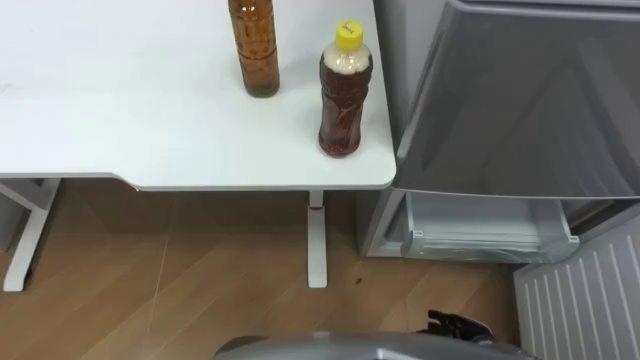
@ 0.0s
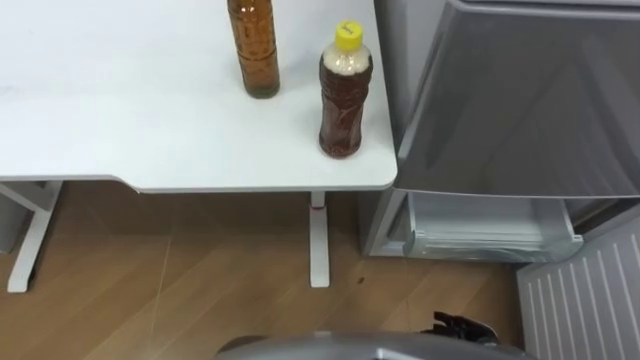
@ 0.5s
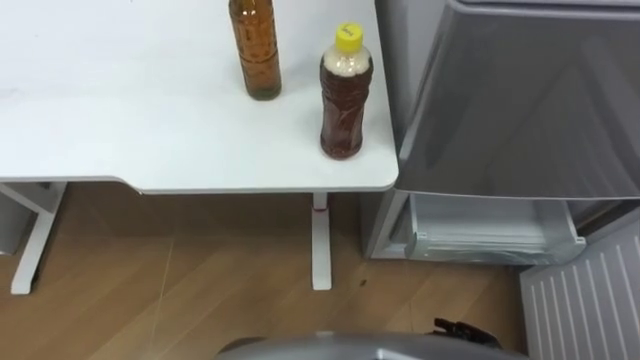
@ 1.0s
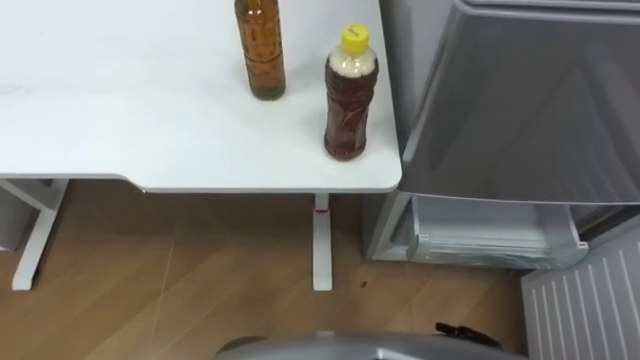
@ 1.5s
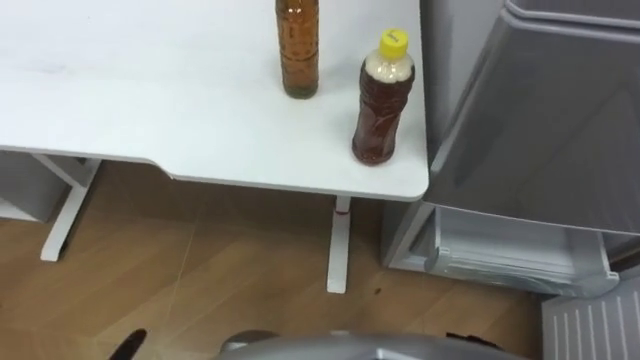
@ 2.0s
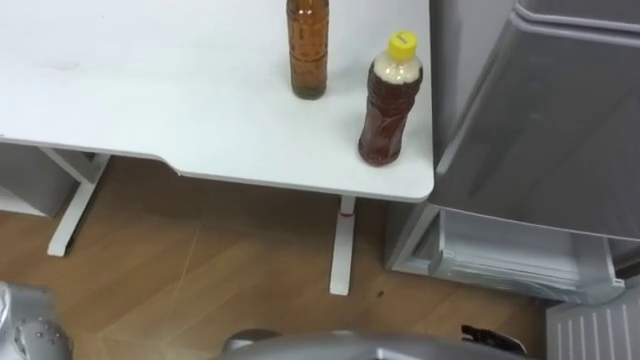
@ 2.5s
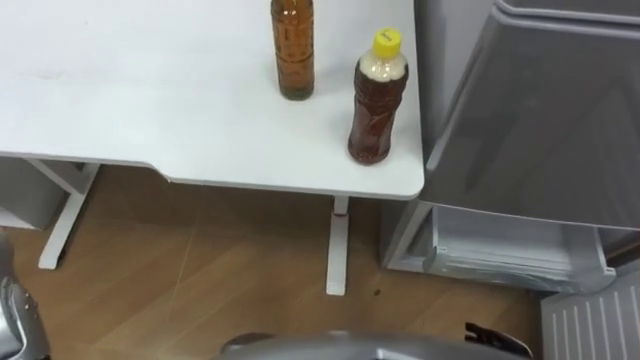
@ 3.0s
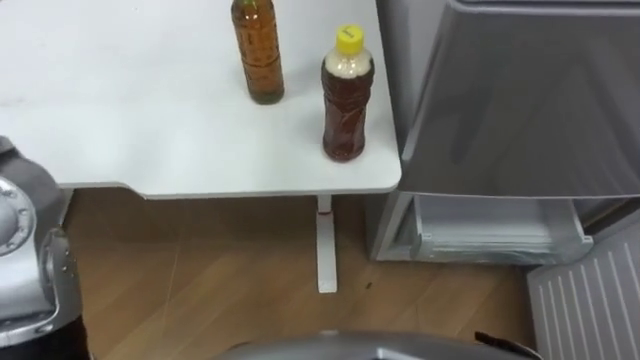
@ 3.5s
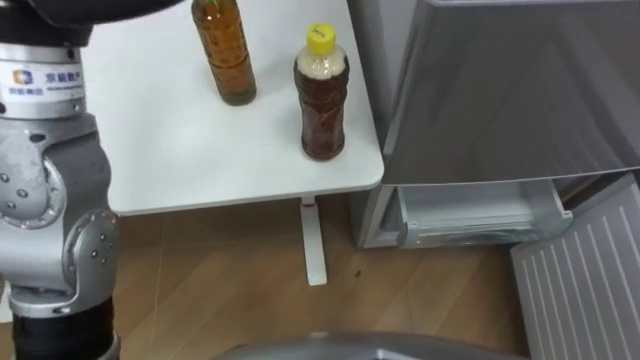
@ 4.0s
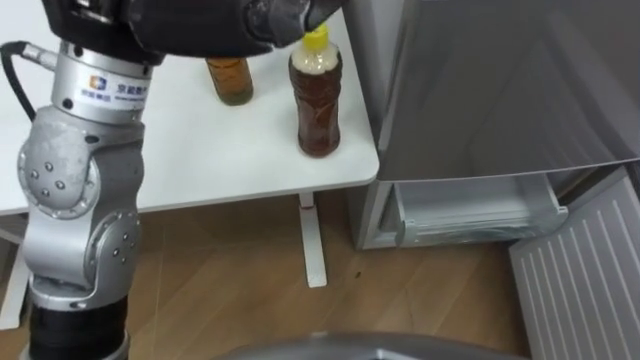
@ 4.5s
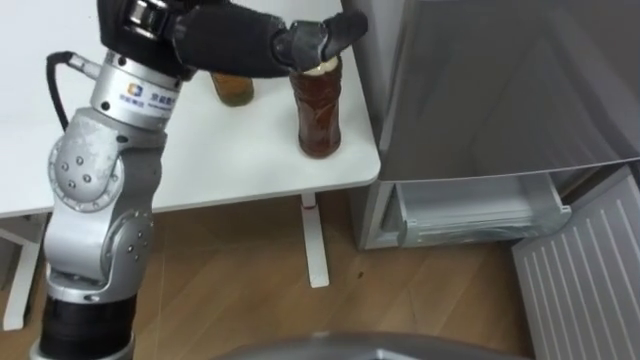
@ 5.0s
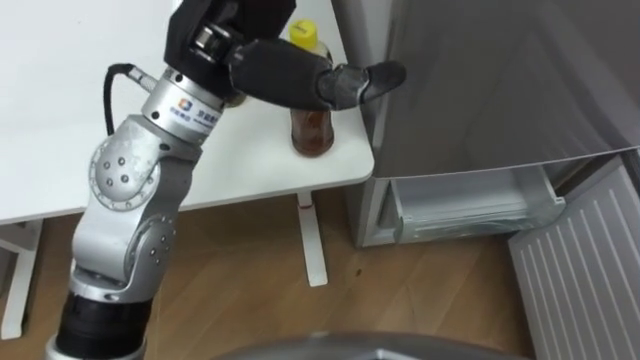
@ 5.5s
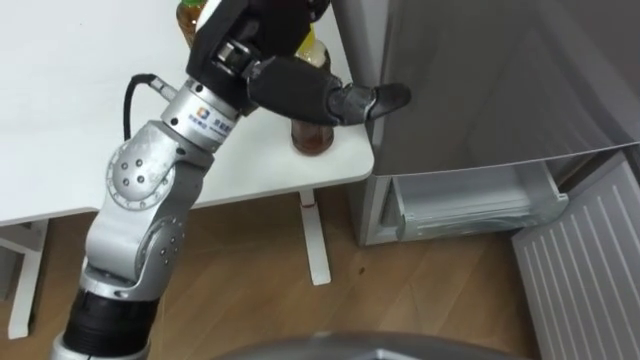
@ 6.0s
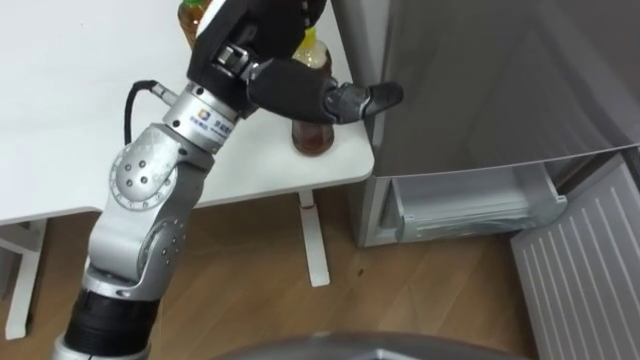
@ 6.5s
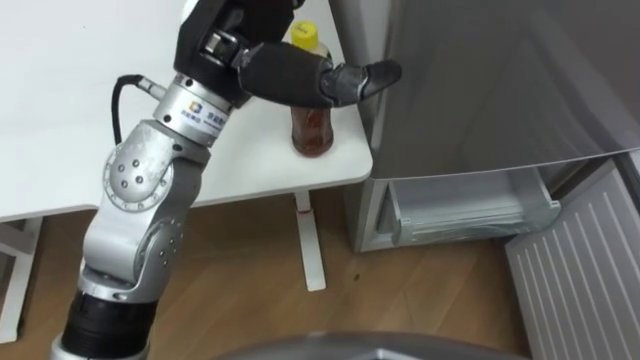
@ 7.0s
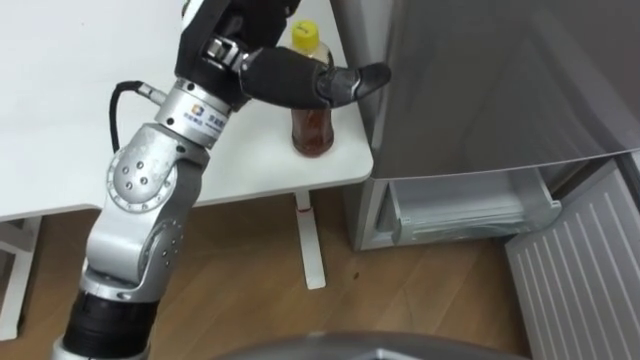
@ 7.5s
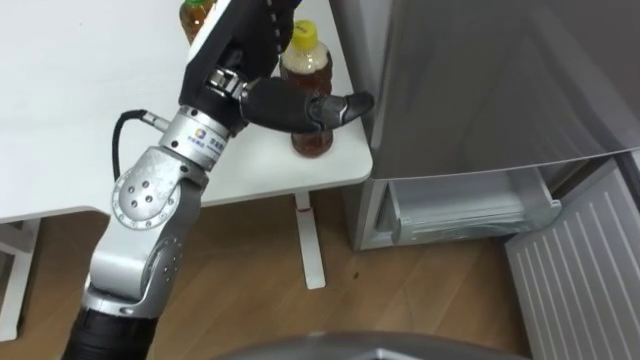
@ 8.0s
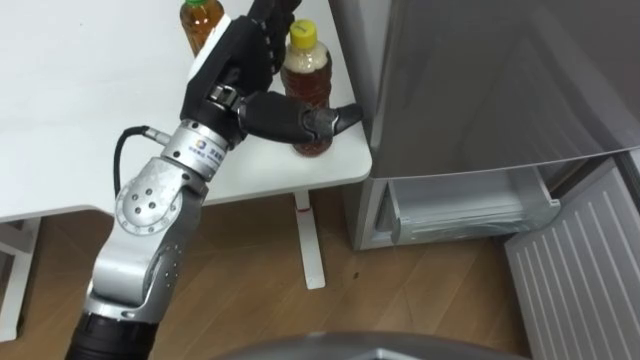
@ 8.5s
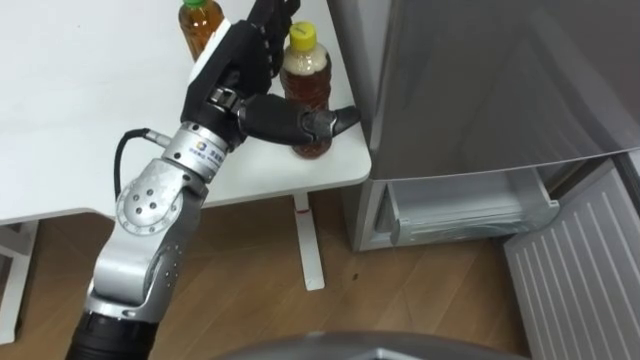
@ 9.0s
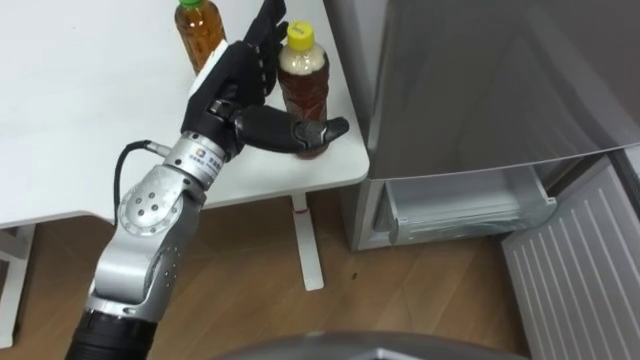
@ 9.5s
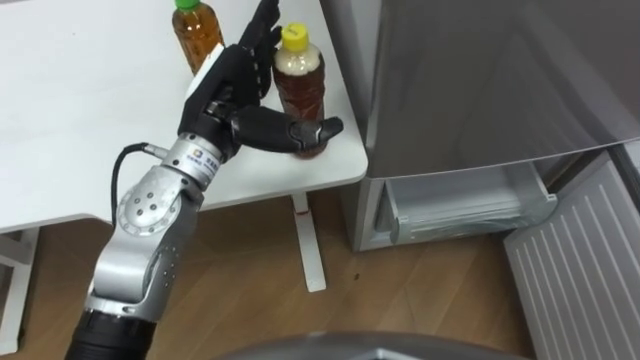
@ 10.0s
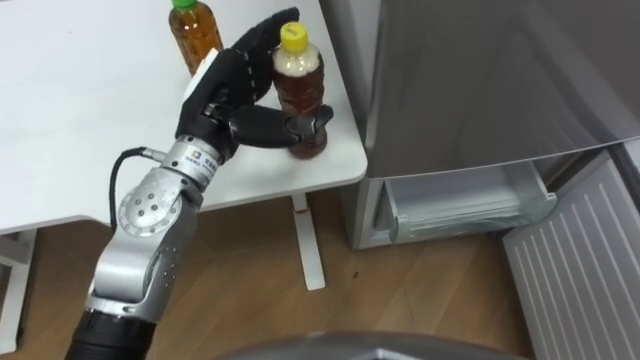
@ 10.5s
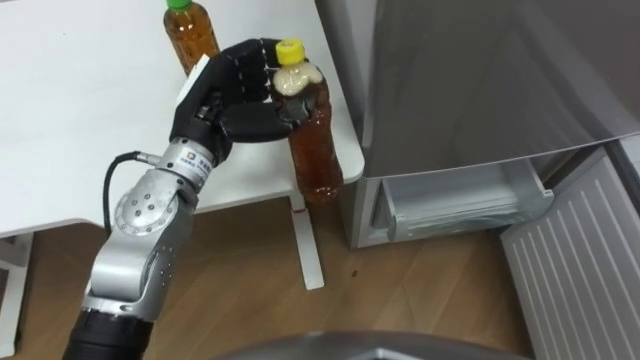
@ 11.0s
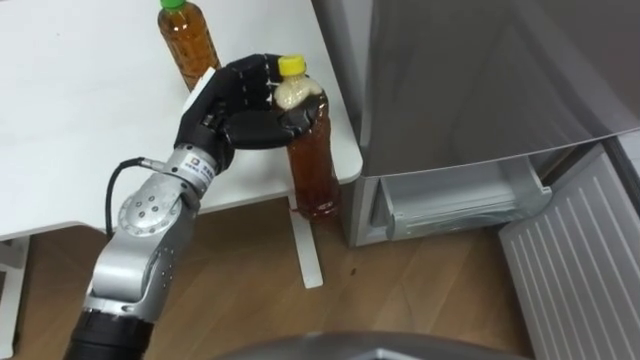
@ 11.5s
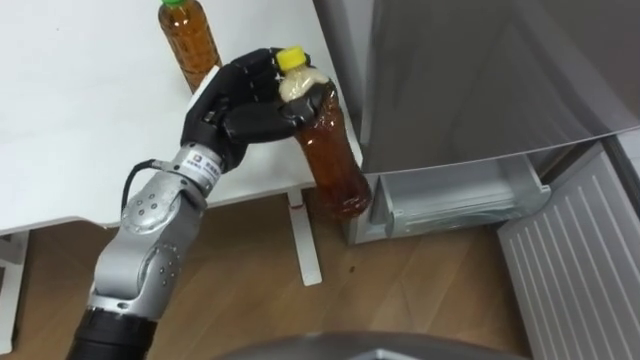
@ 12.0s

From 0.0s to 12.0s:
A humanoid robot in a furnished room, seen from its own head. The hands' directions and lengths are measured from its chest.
Task of the whole recording: Place the drink on the table on the bottom shelf of the refrigerator, then close the drawer and the refrigerator door.
From 4.0s to 6.0s: The left hand travels to the right and downward by some 15 cm.
From 6.0s to 8.0s: The left hand changes place by some 5 cm.
From 8.0s to 10.0s: The left hand travels downward by roughly 5 cm.
From 10.0s to 12.0s: The left hand closes up.

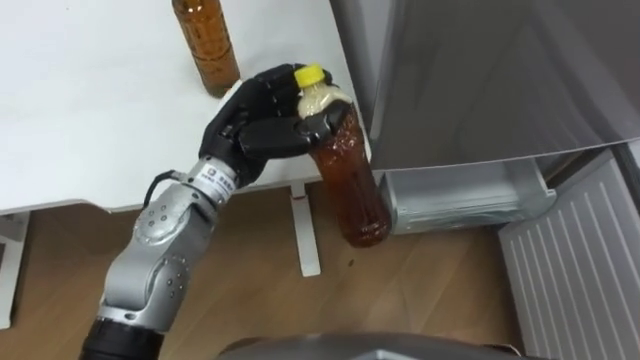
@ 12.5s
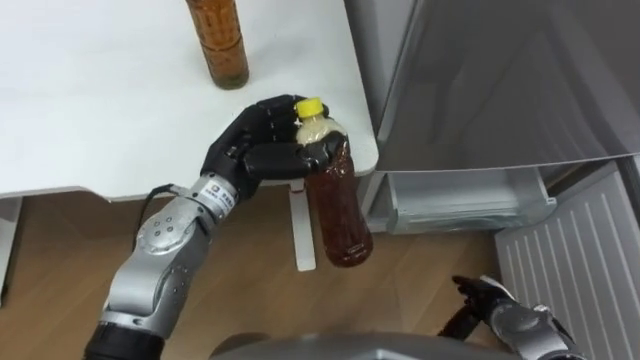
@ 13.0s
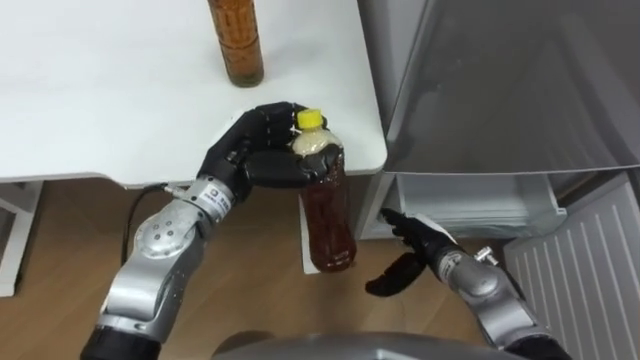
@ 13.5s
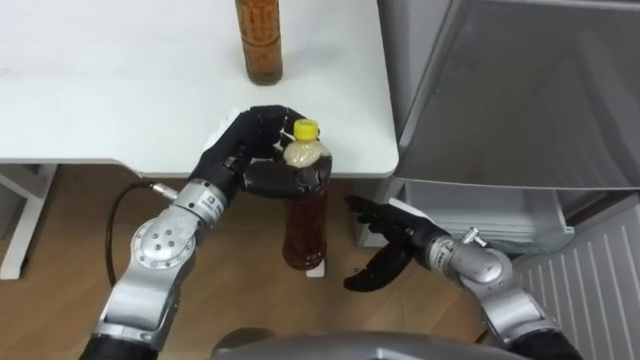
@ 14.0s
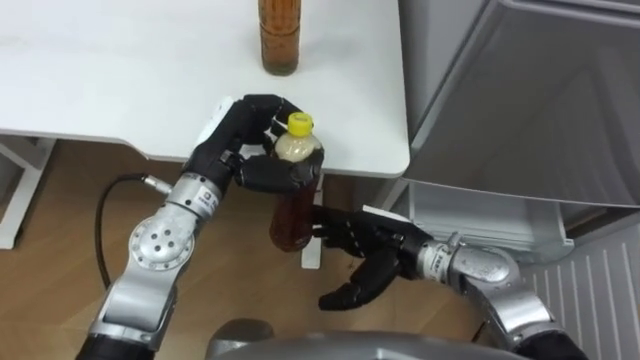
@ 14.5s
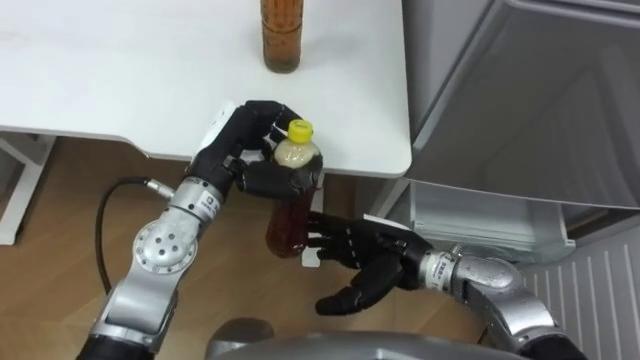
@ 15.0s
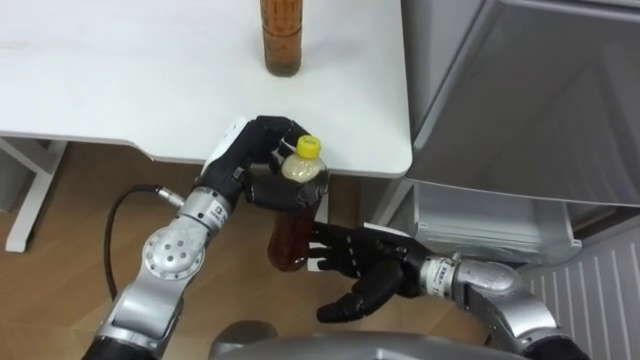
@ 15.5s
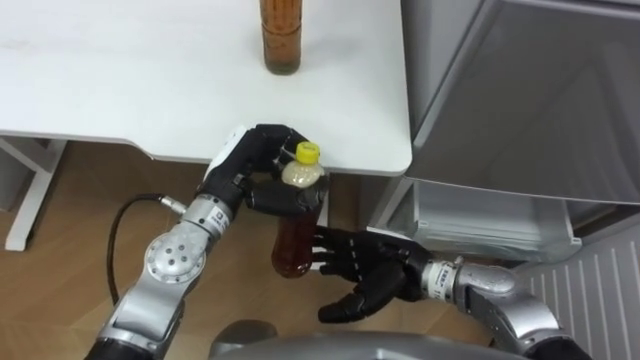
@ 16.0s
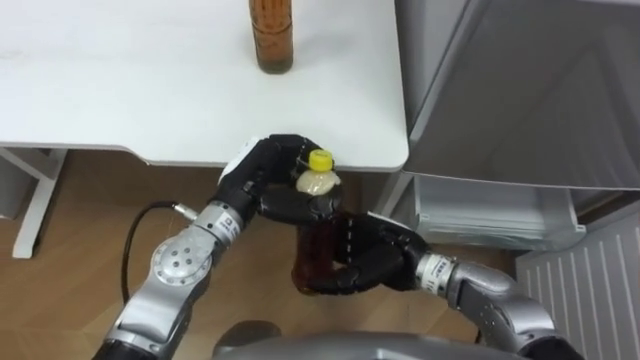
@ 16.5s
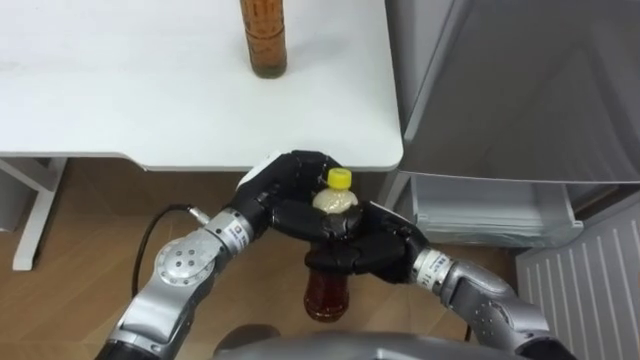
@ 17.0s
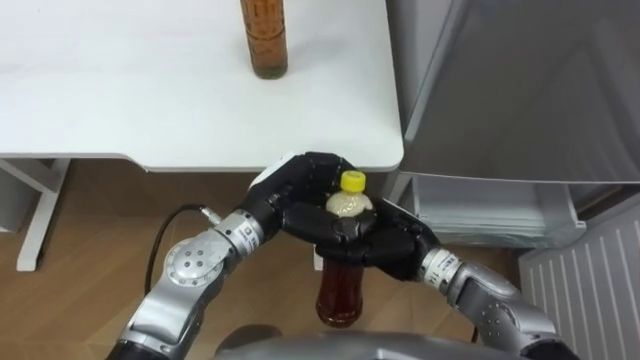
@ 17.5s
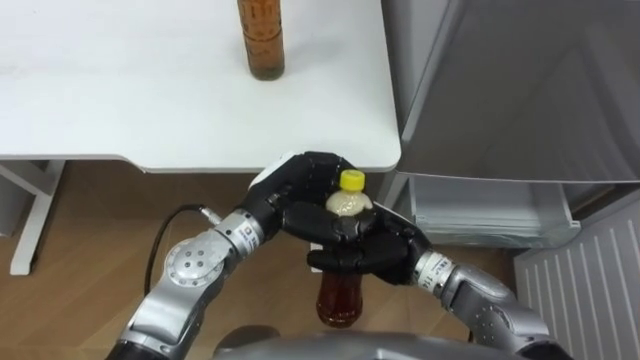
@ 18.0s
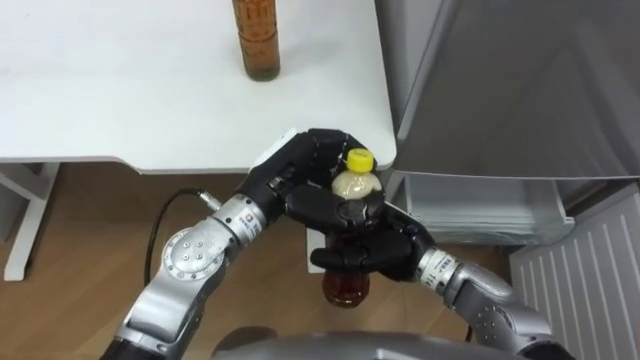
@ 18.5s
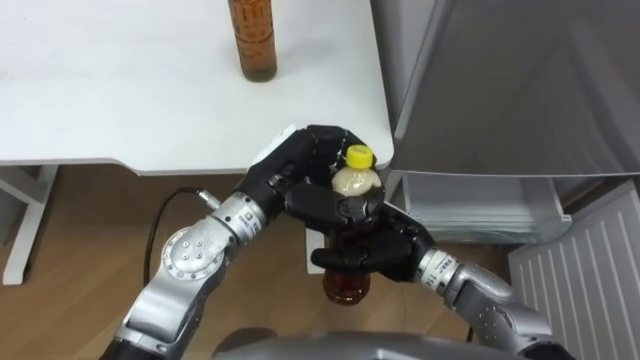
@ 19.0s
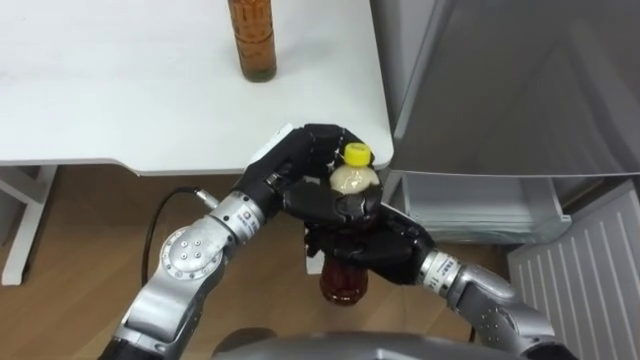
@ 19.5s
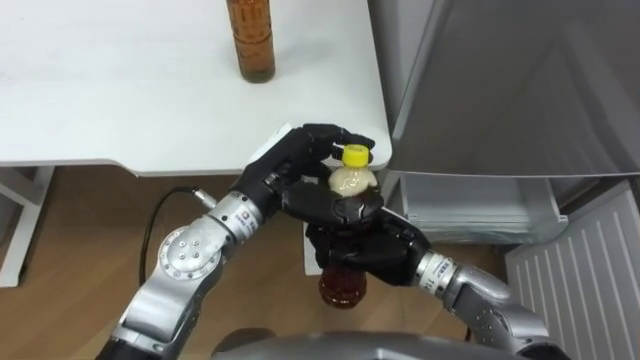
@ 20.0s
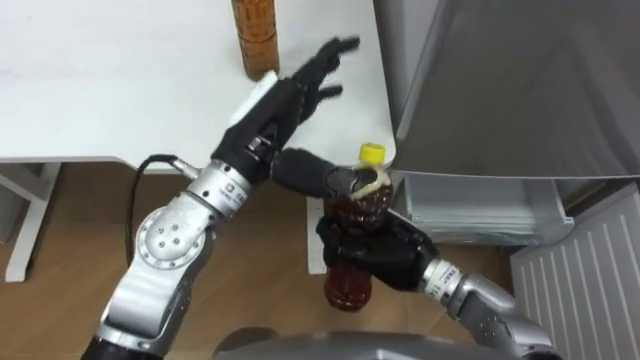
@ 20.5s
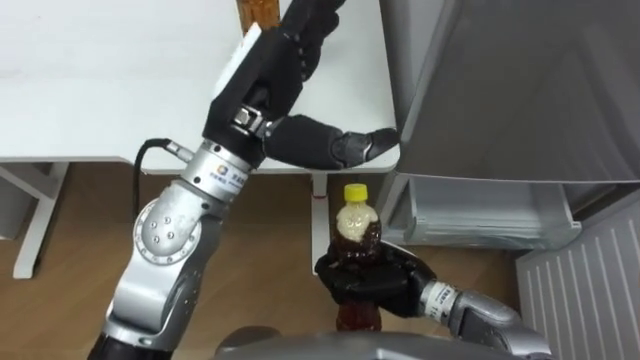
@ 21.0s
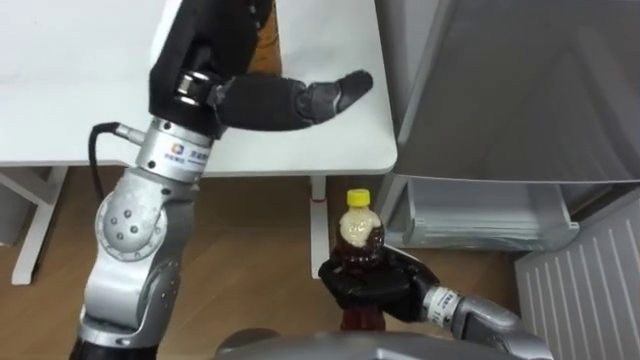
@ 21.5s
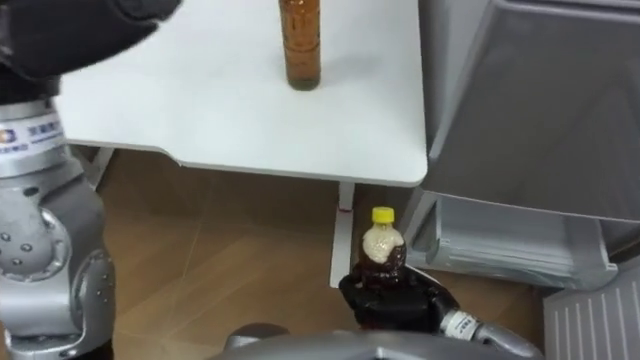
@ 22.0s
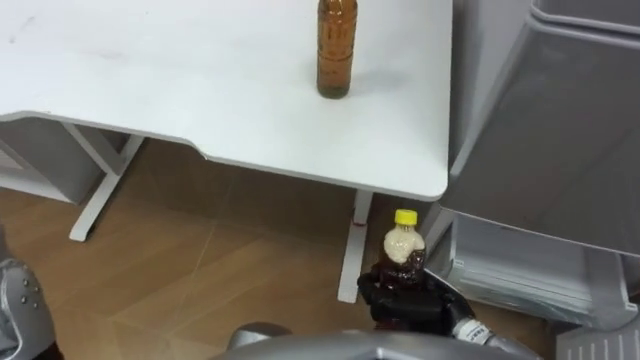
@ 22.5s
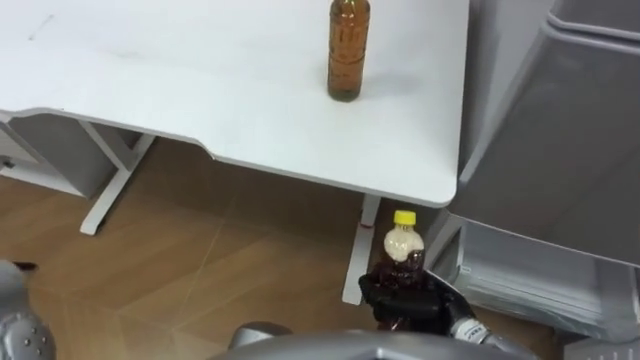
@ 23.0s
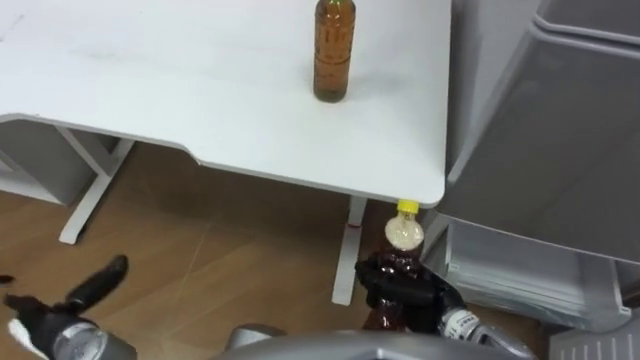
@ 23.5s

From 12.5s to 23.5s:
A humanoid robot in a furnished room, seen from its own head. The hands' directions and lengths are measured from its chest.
Task of the whole recording: Place the drink on the table on the bottom shelf of the refrigerator, then close the drawer and the refrigerator door.
From 16.0s to 18.0s: The left hand changes place by approximately 5 cm.
From 18.0s to 20.0s: The right hand closes up.
From 20.0s to 21.5s: The left hand heads upward, covering about 15 cm, and opens. Meanwhile the right hand shifts roughly 5 cm downward.
From 21.5s to 23.5s: The right hand changes place by about 5 cm.
